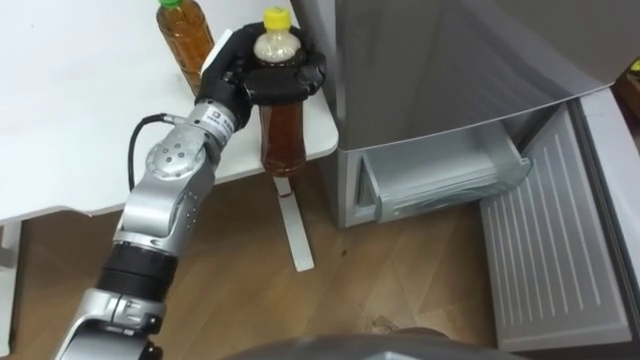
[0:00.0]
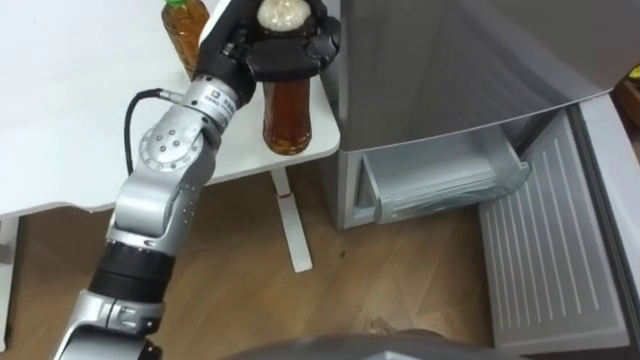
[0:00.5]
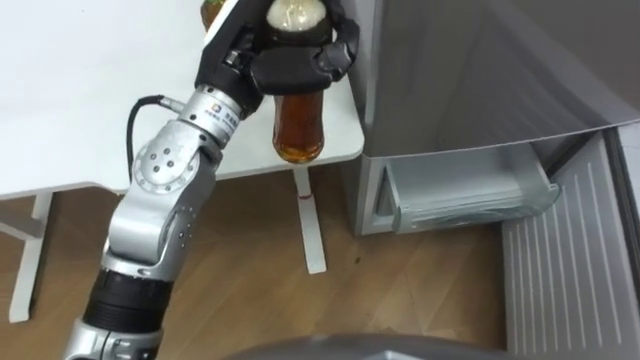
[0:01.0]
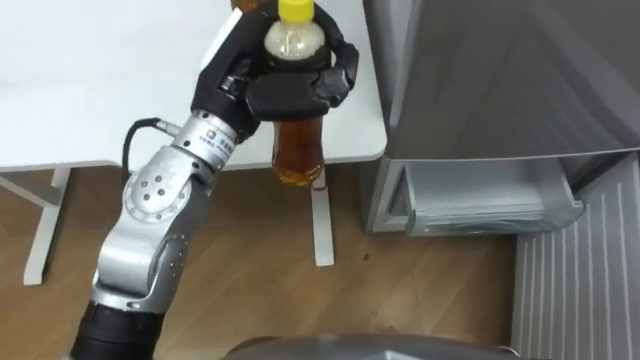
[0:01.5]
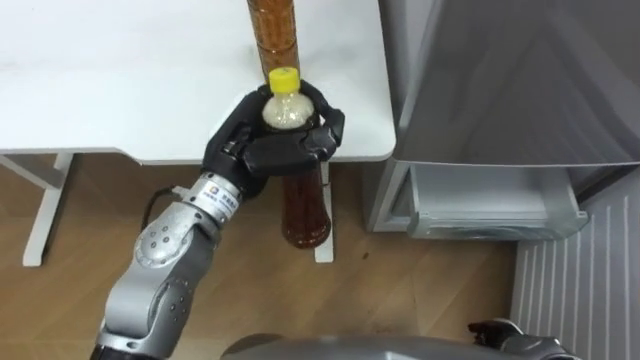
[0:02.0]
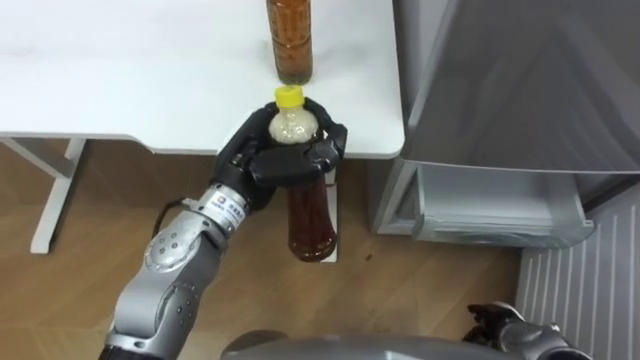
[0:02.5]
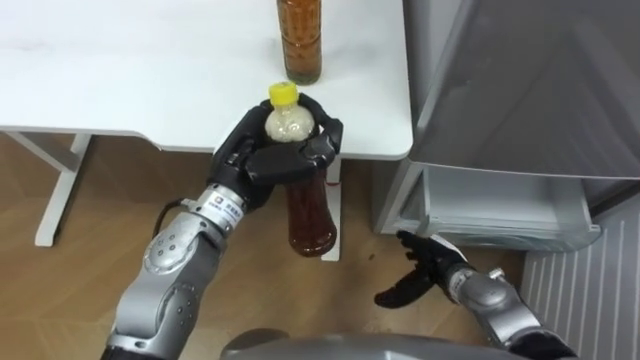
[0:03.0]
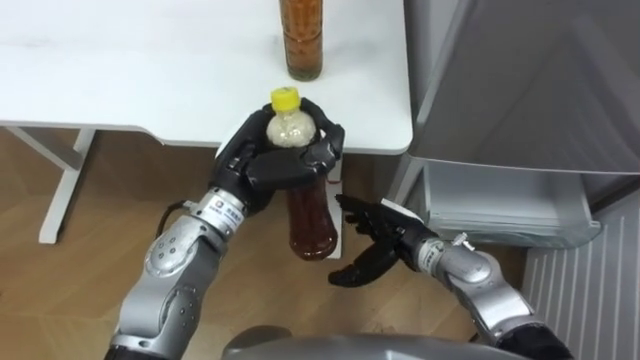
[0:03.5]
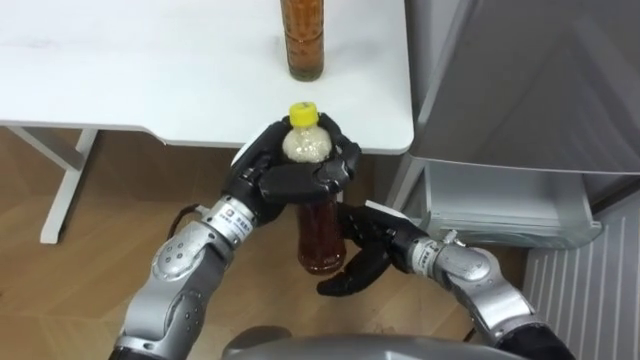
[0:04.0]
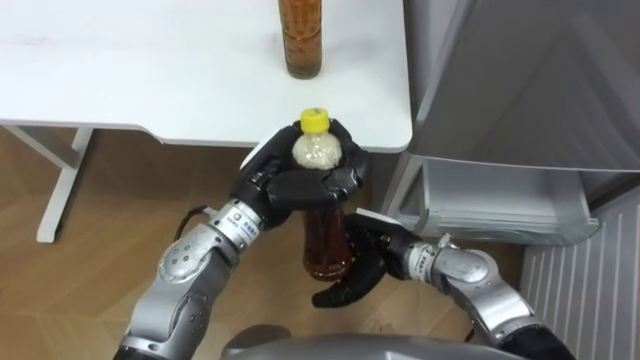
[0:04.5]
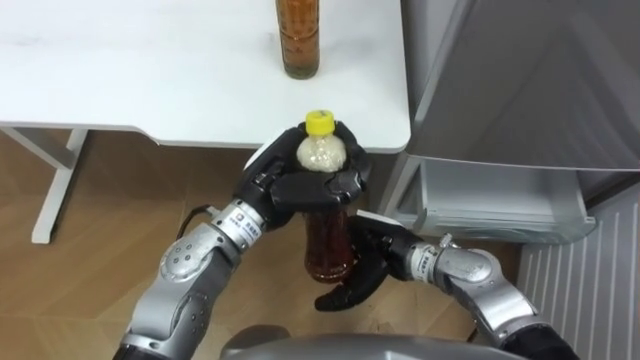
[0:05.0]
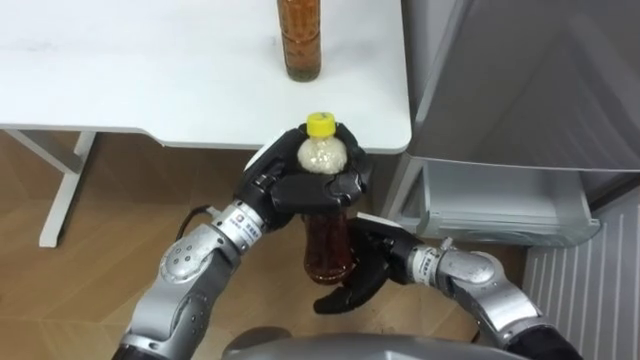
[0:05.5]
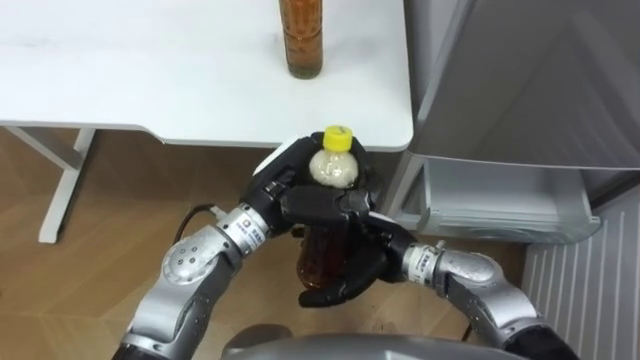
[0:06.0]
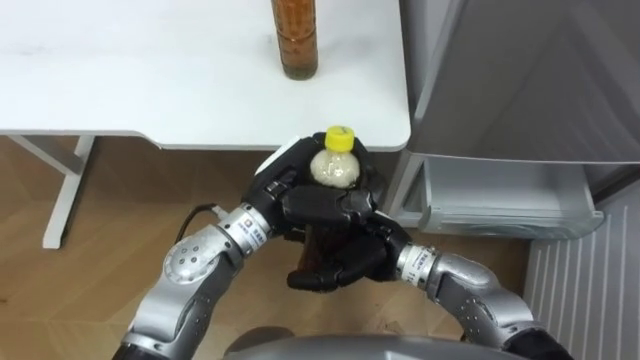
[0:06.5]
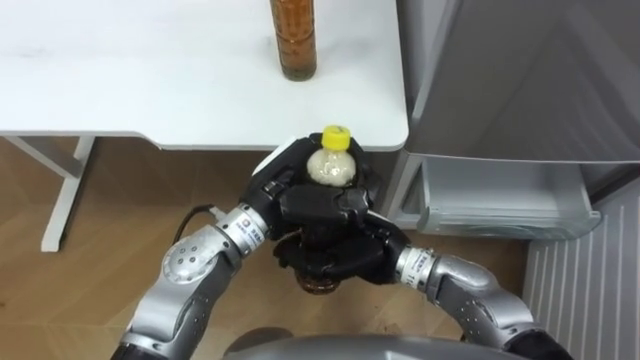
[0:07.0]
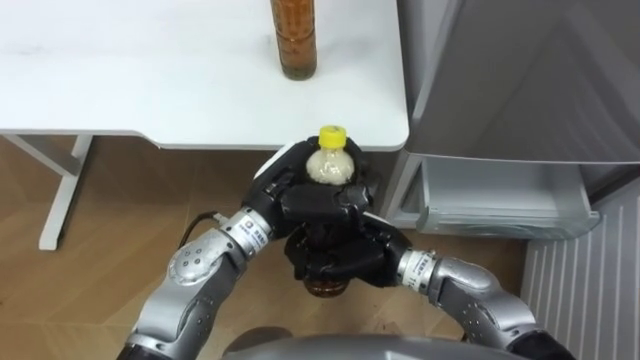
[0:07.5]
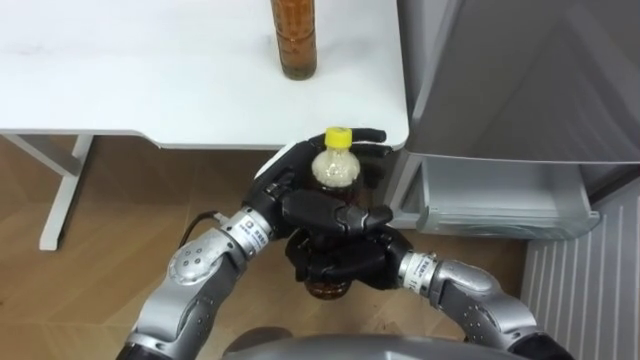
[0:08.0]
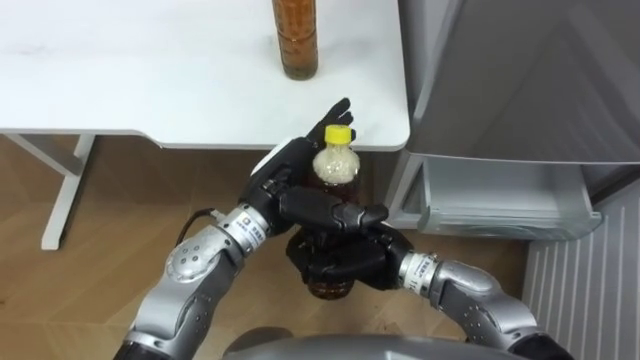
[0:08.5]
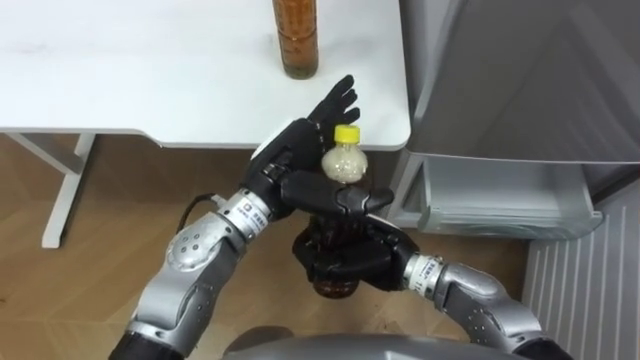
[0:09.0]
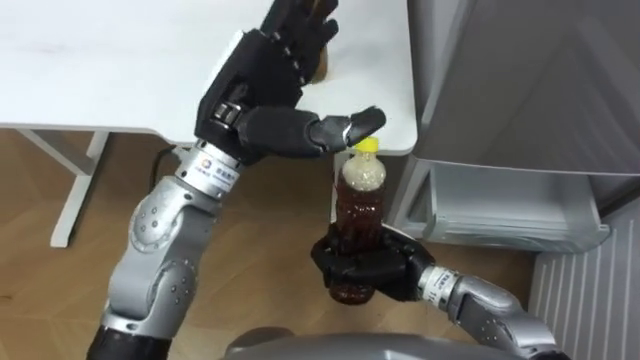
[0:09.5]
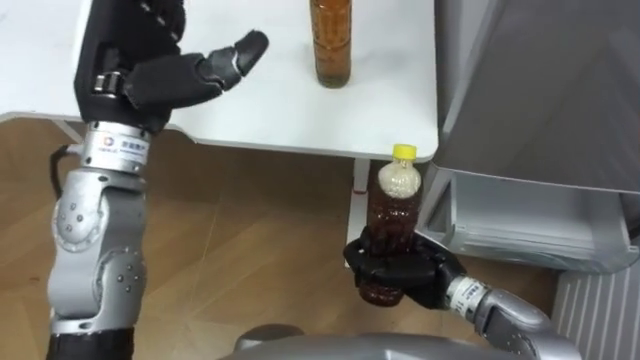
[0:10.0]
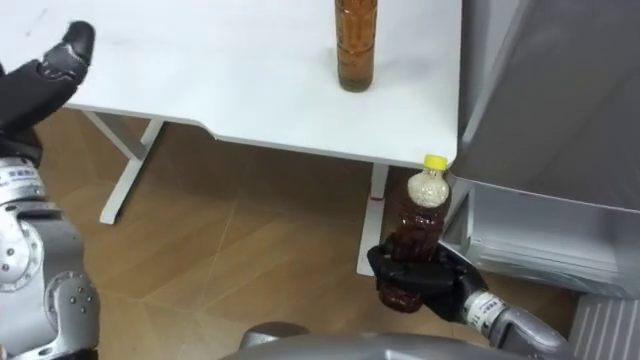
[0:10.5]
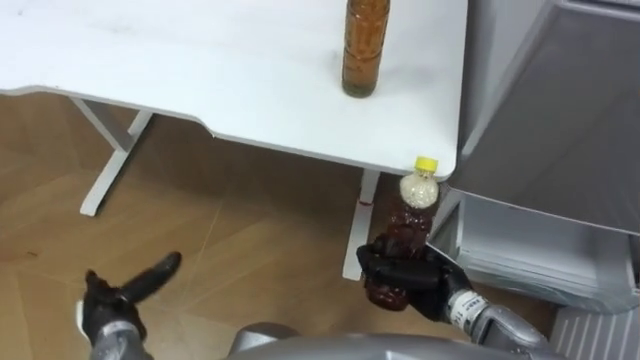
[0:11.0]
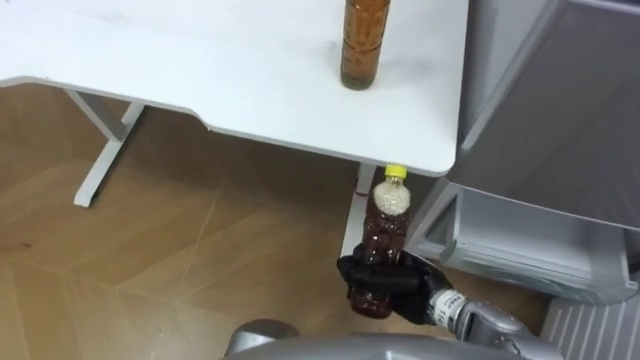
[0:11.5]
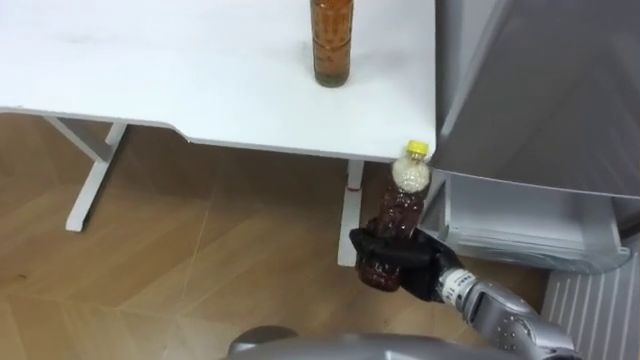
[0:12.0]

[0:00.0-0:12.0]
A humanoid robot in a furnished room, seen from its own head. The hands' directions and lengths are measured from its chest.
Task of the whole recording: Place the drink on the table on the bottom shelf of the refrigerator, then close the drawer and the refrigerator door.
0:00.0 to 0:02.0: The left hand goes roughly 10 cm backward.
0:02.0 to 0:04.0: The right hand moves to the left, forward and upward, approximately 25 cm.
0:06.0 to 0:08.0: The right hand closes. Meanwhile the left hand opens up.
0:08.0 to 0:10.0: The left hand moves upward and to the left, about 20 cm, and opens up. Meanwhile the right hand heads to the right, covering approximately 10 cm.

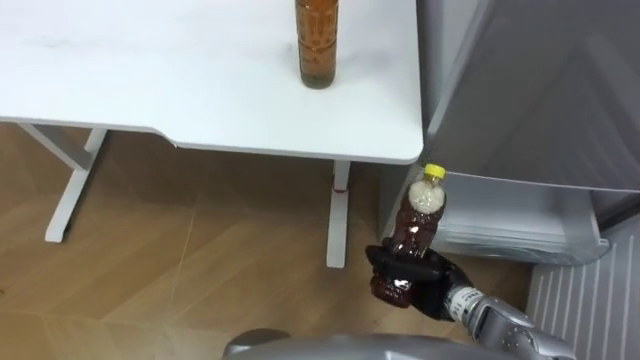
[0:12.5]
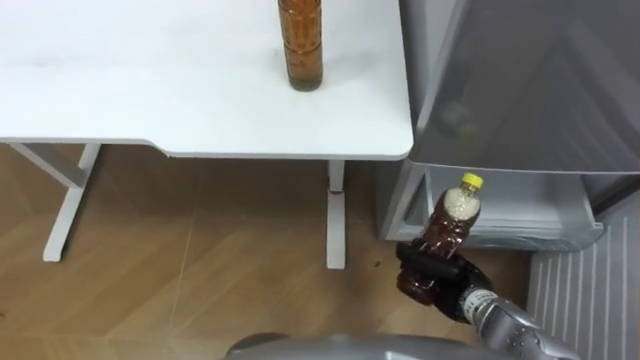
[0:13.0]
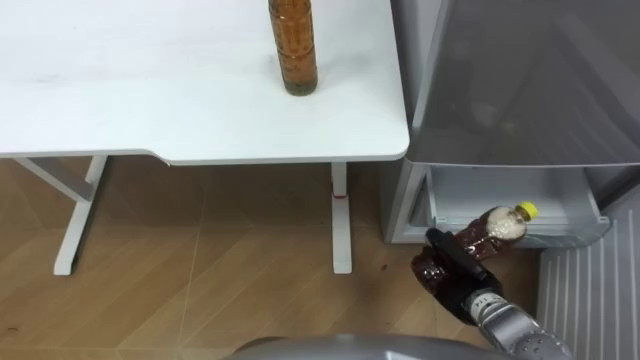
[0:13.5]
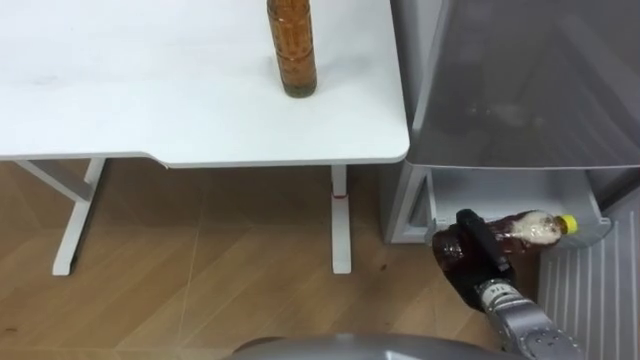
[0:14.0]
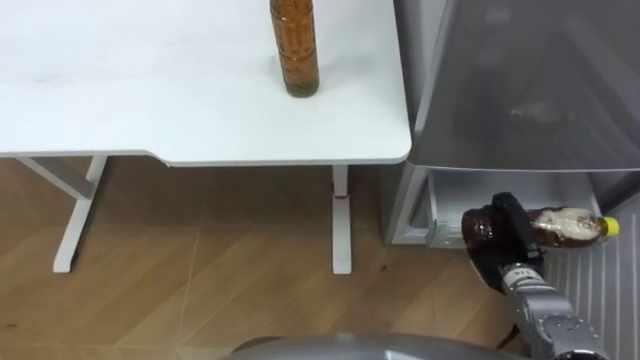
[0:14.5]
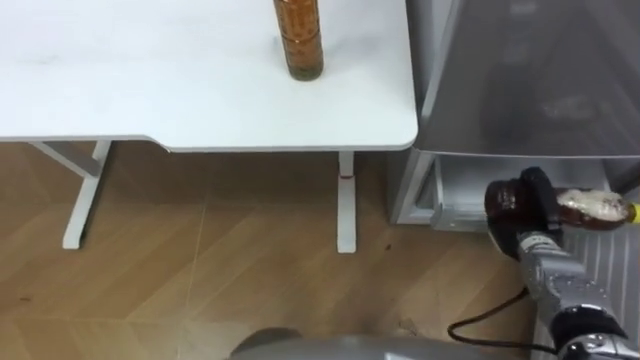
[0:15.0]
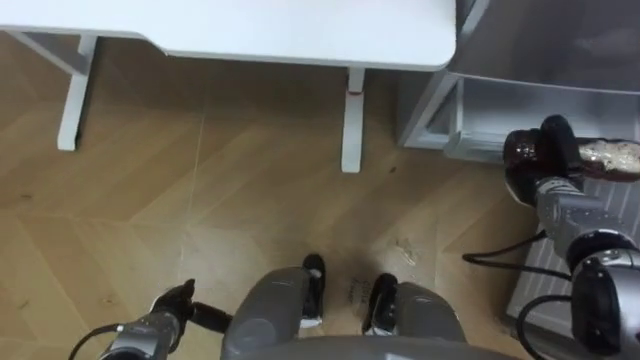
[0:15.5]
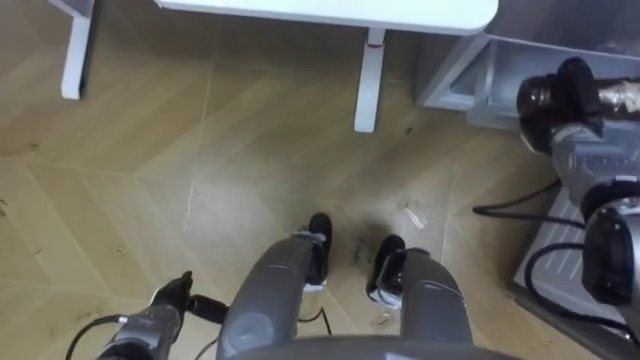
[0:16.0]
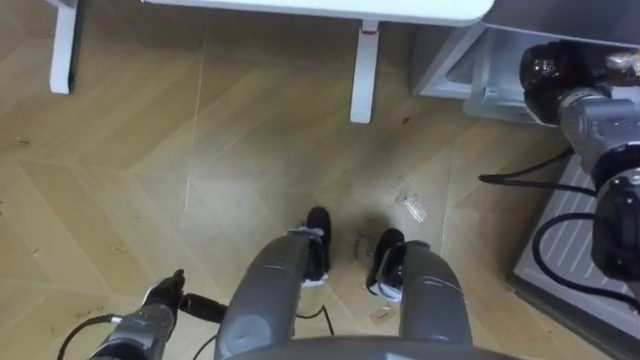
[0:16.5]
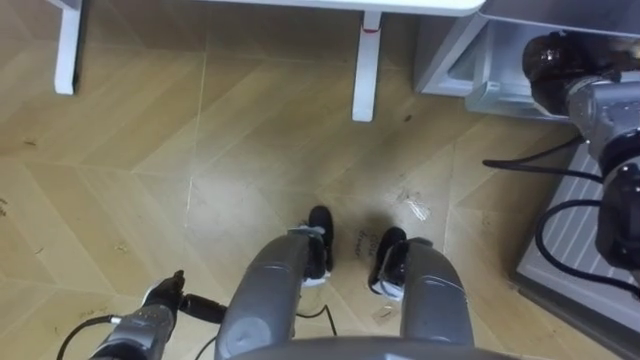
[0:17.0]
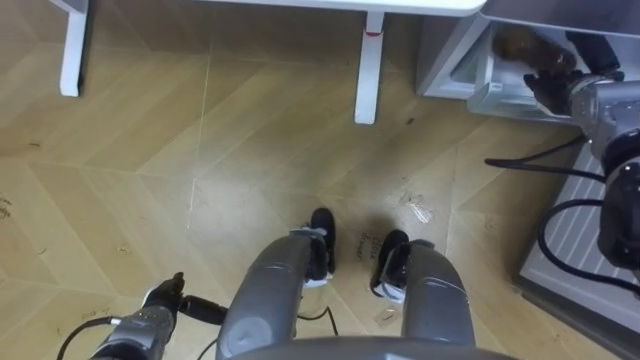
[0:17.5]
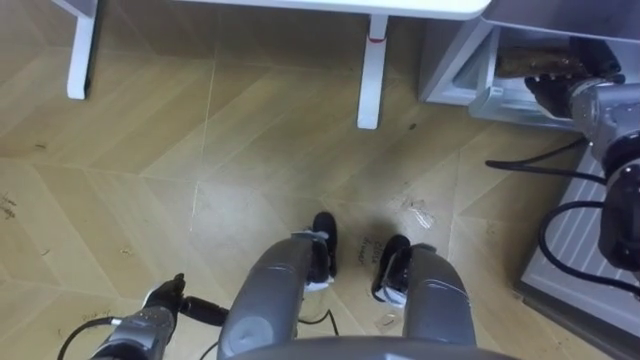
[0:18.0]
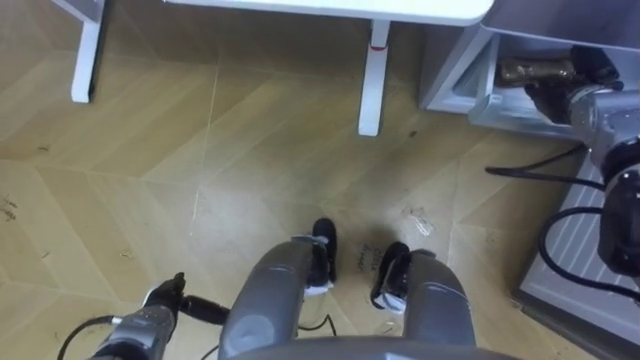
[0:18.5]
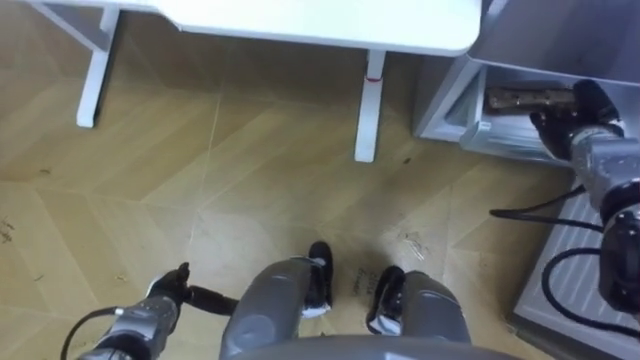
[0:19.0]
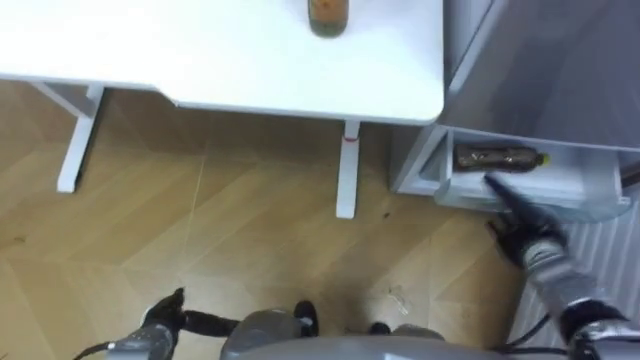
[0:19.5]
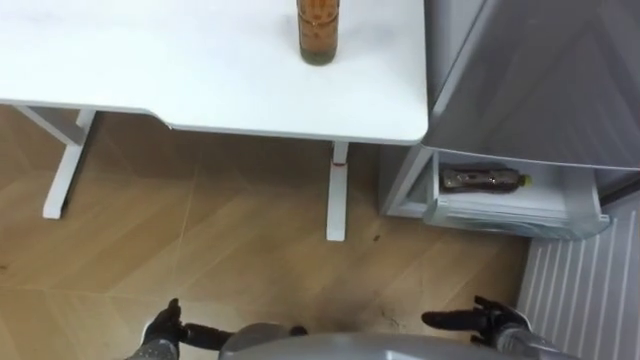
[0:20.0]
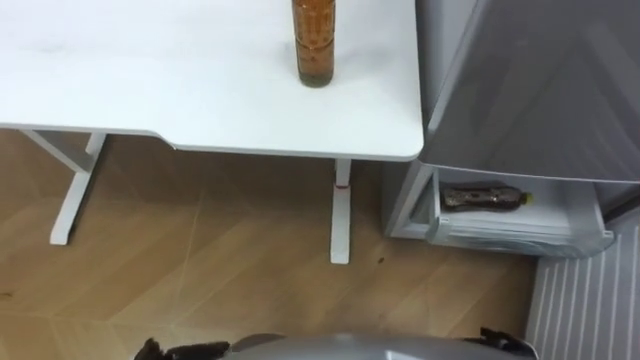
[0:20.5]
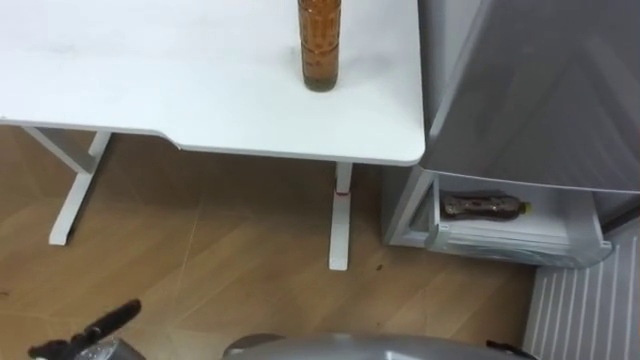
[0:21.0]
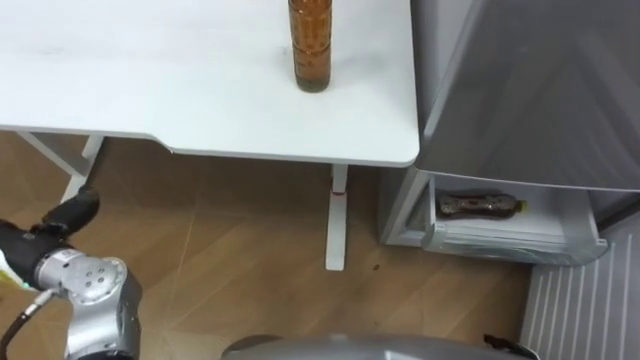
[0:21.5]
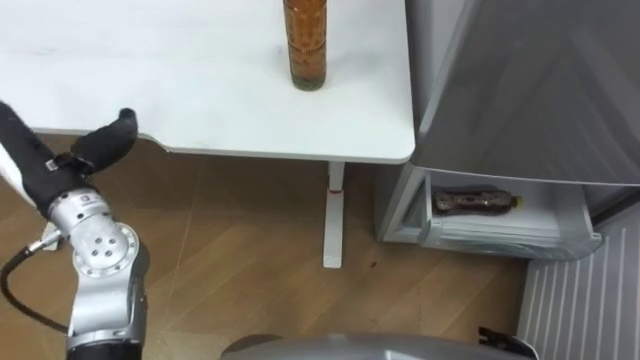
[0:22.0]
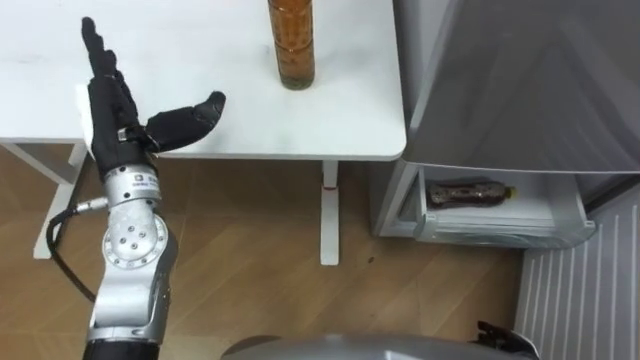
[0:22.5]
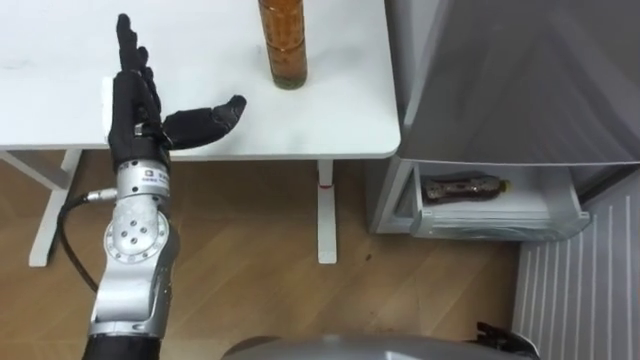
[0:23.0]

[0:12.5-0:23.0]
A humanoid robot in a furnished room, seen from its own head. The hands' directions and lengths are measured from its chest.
Task of the whole recording: Place the drink on the table on the bottom shelf of the refrigerator, then close the drawer and the refrigerator door.
0:12.5 to 0:14.5: The right hand is displaced to the right by roughly 10 cm.
0:14.5 to 0:16.5: The right hand is displaced forward and upward by some 25 cm.
0:16.5 to 0:19.0: The right hand changes place by roughly 5 cm, and opens.
